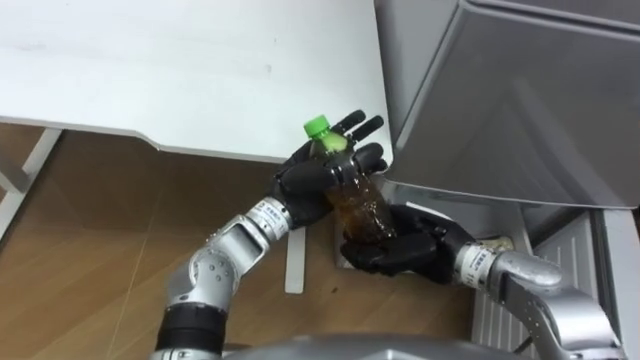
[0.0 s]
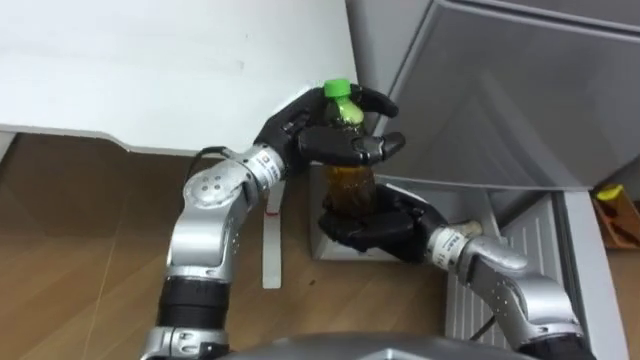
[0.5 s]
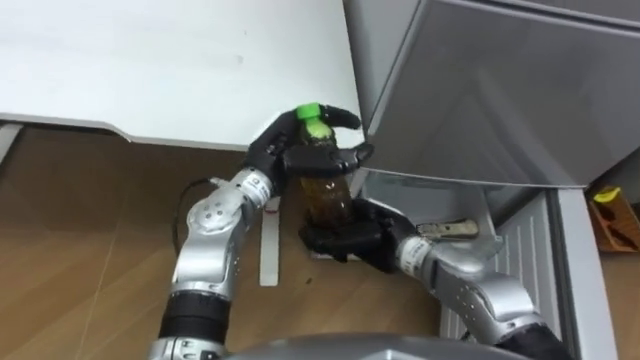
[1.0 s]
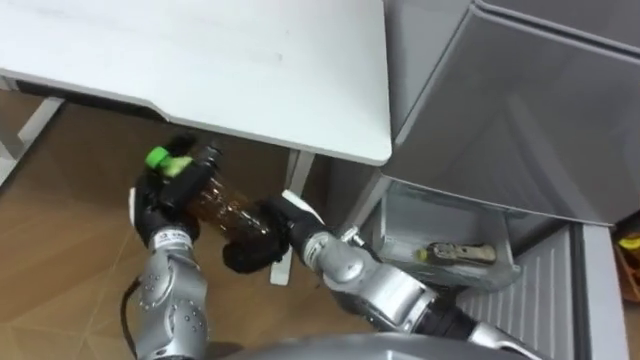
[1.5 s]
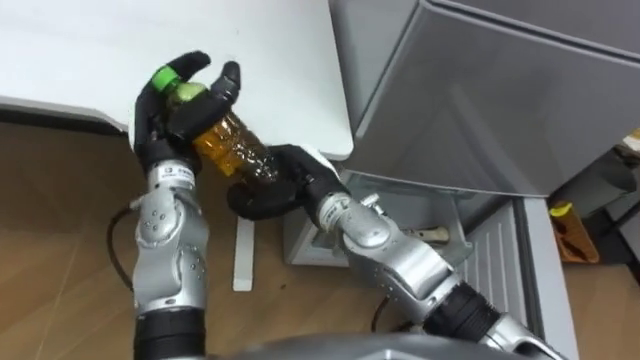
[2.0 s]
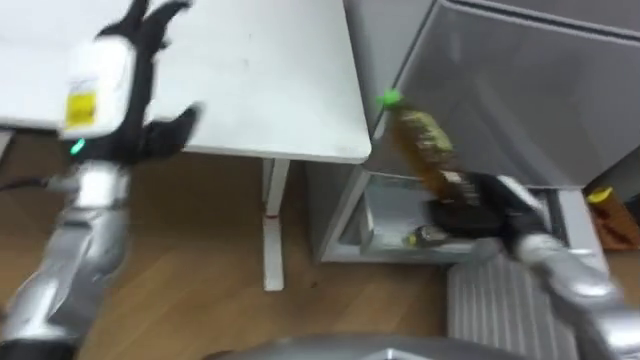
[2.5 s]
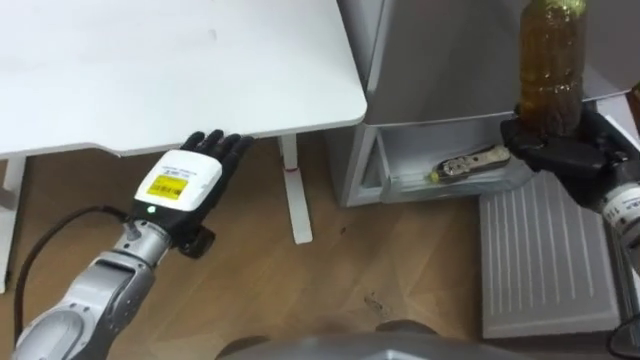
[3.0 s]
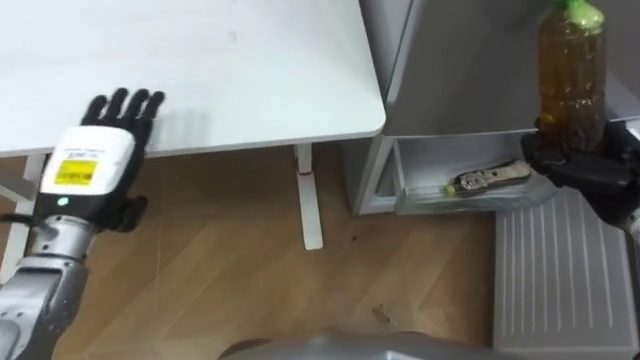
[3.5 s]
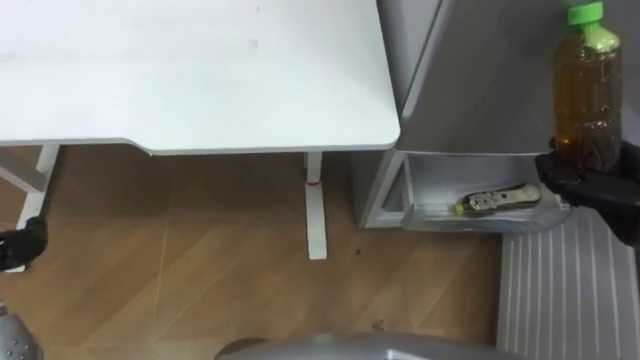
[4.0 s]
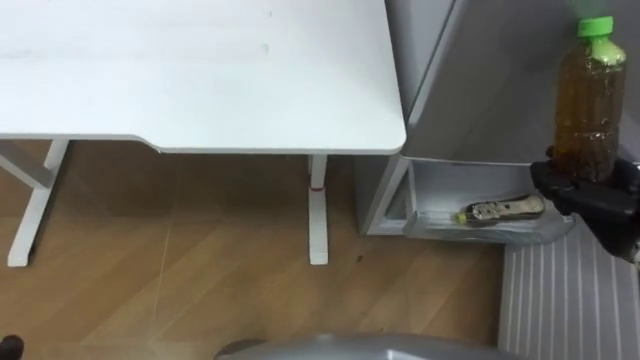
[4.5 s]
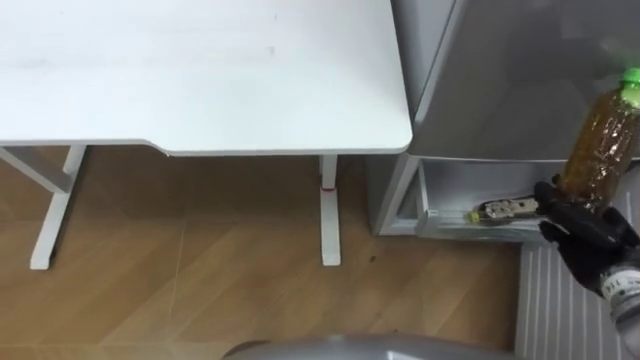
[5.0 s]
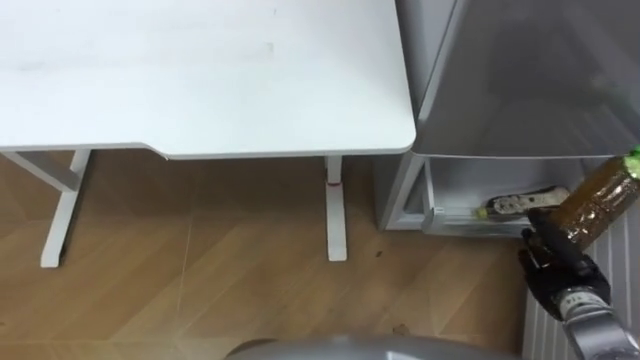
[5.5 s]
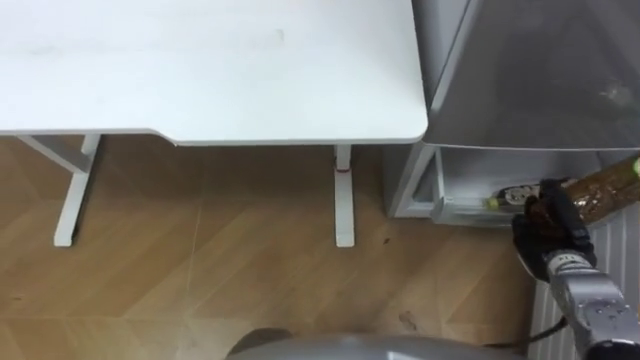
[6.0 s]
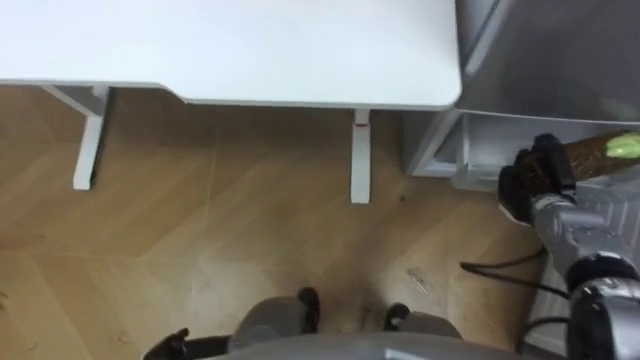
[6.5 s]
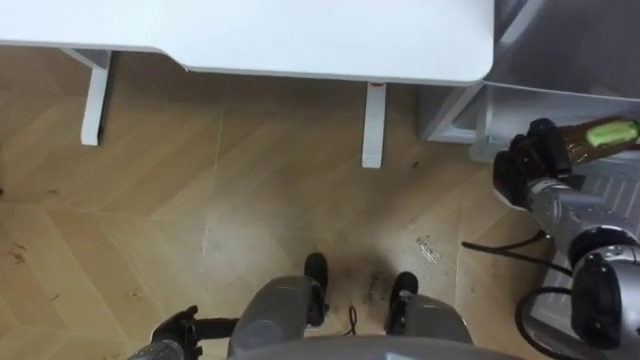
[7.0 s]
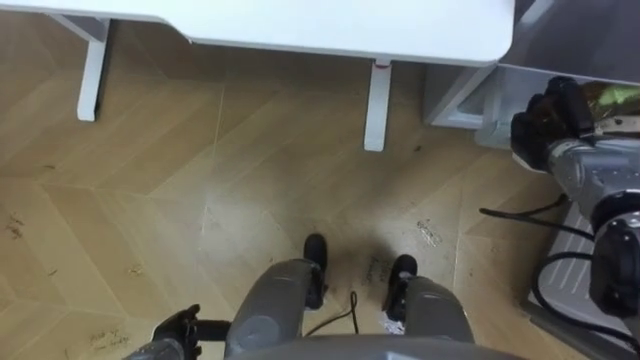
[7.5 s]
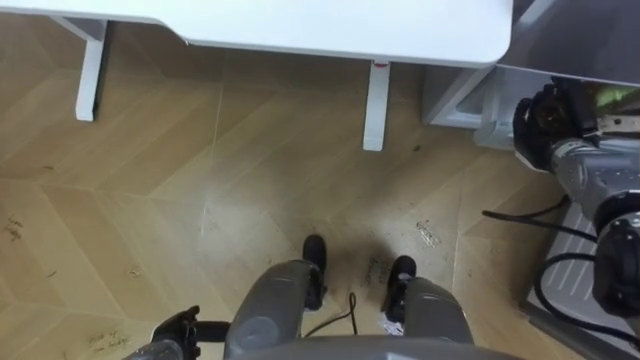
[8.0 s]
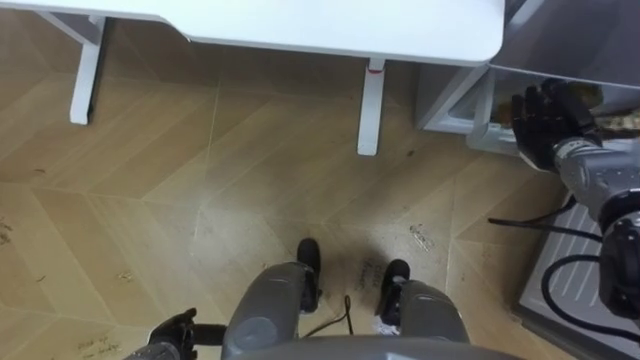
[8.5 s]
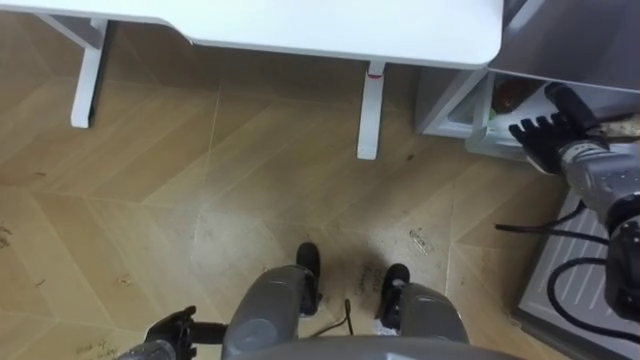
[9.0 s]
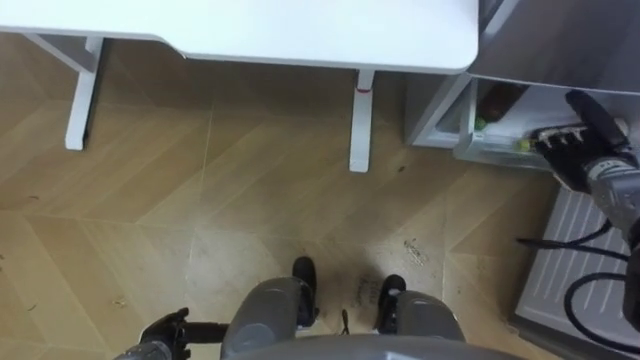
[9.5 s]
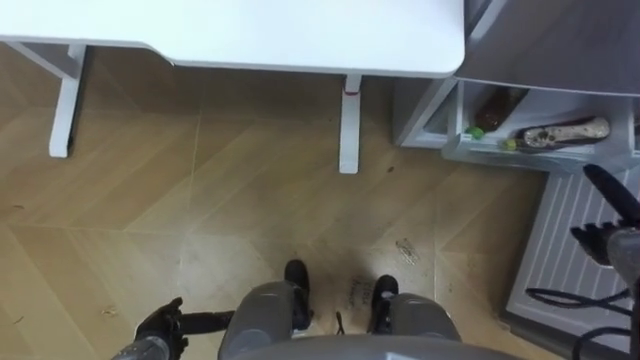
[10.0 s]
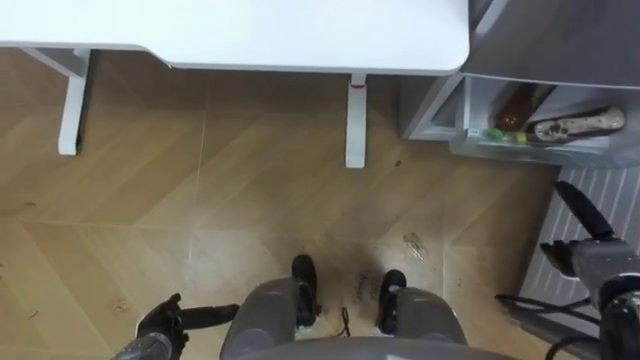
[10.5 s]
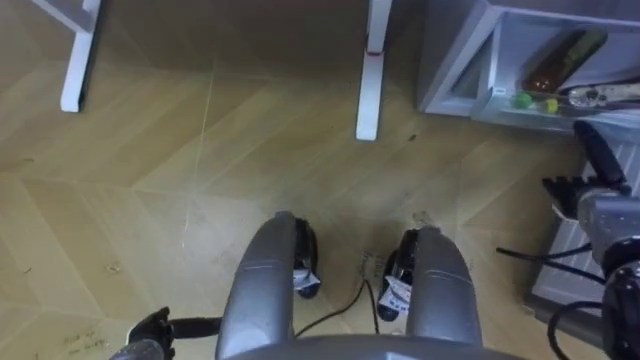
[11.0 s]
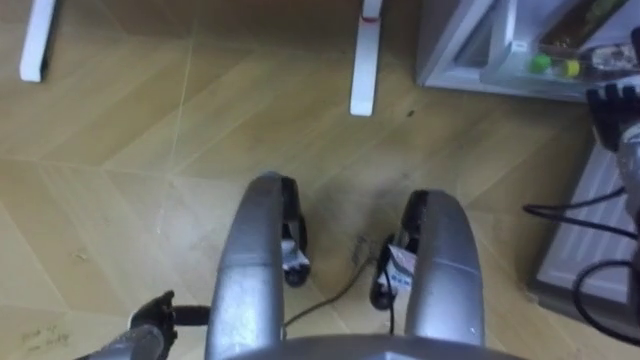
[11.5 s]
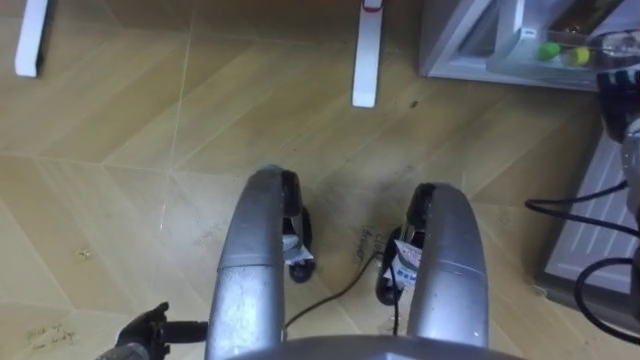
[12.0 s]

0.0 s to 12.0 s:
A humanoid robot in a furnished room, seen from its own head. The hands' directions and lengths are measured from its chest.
Task of the whole recording: Place the drink on the table on the bottom shelf of the refrigerator, then close the drawer and the refrigerator door.
0.0 to 2.0 s: The hands both shift to the left by approximately 15 cm.
4.0 to 6.0 s: The right hand goes approximately 15 cm downward.
6.0 to 8.0 s: The right hand travels forward and upward by about 15 cm.
8.0 to 10.0 s: The right hand goes roughly 15 cm backward, to the right and downward, and opens up.
10.0 to 12.0 s: The right hand travels forward and upward by roughly 15 cm.

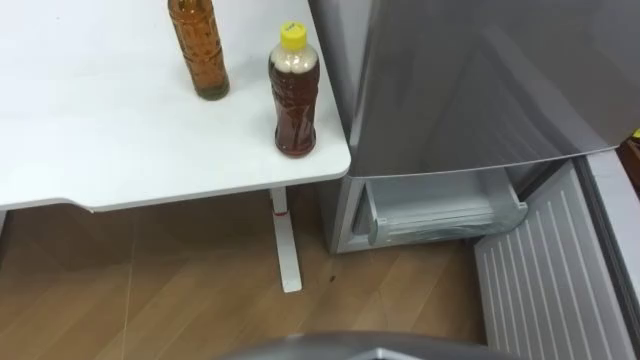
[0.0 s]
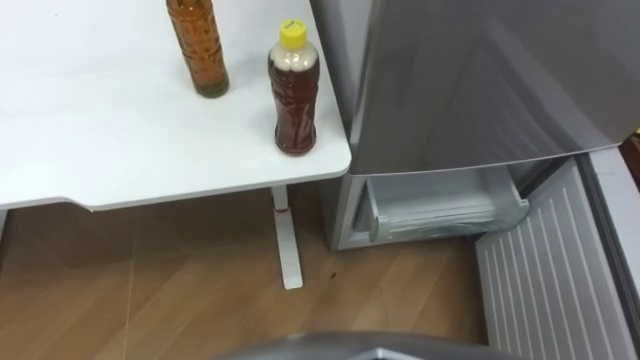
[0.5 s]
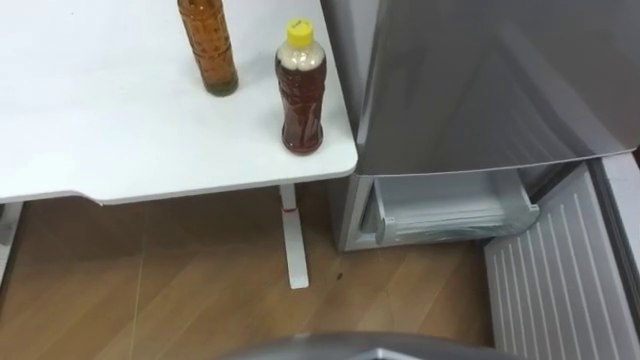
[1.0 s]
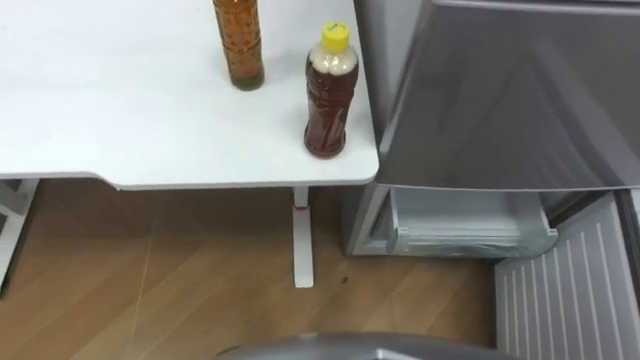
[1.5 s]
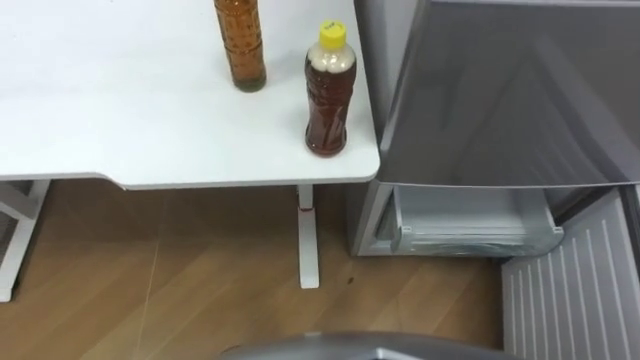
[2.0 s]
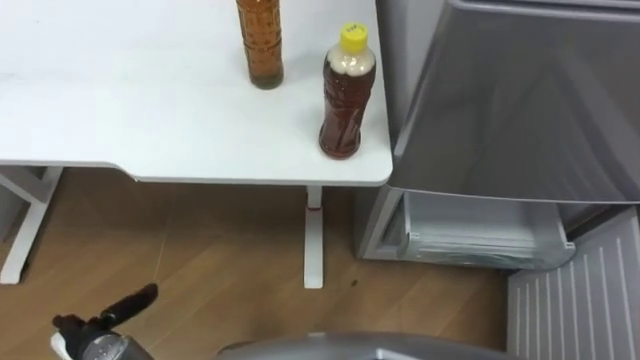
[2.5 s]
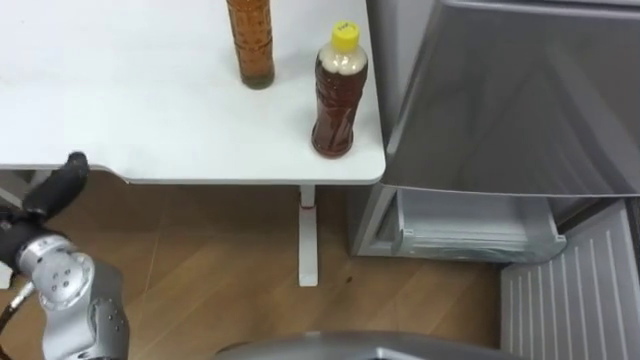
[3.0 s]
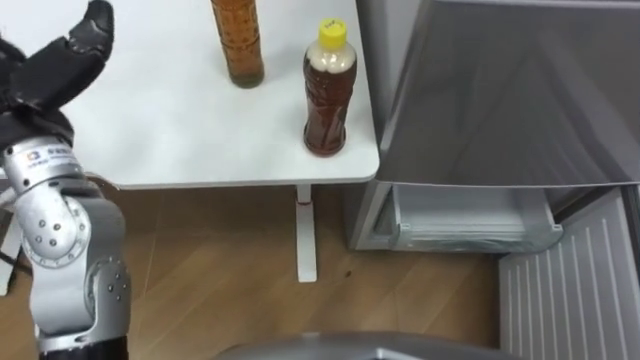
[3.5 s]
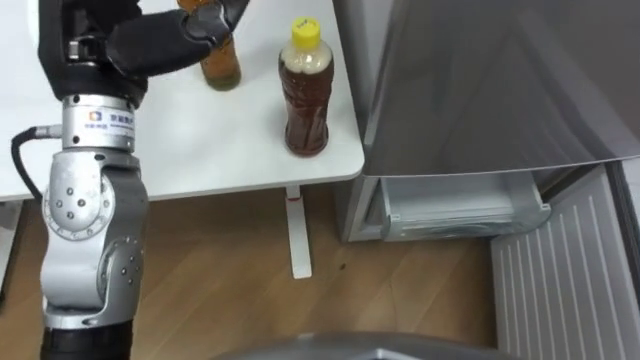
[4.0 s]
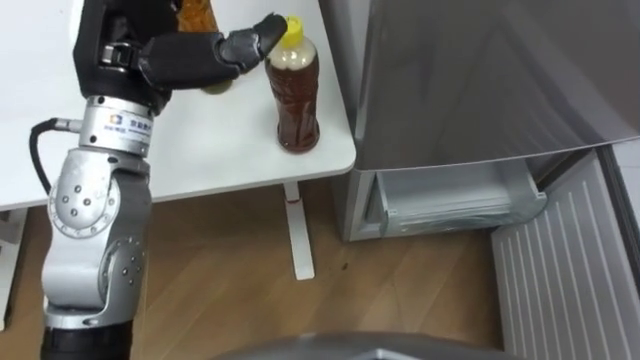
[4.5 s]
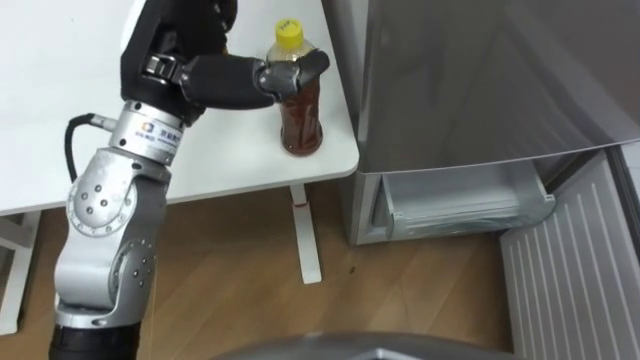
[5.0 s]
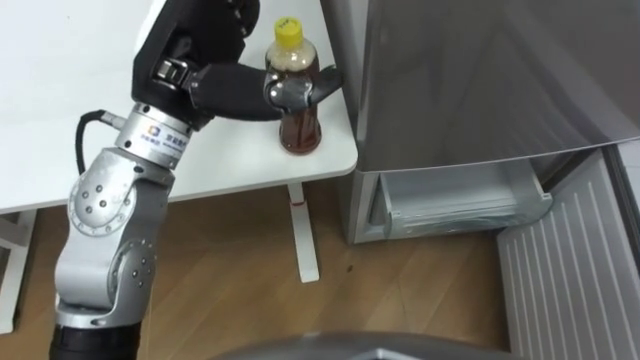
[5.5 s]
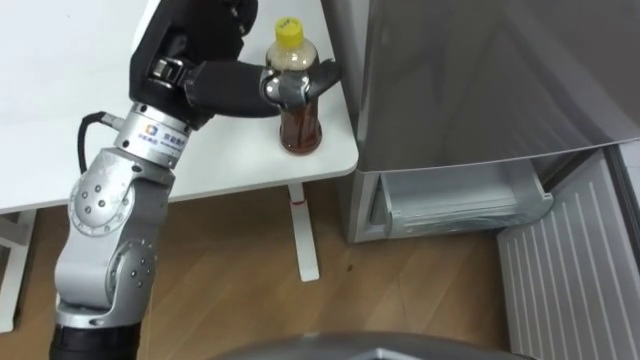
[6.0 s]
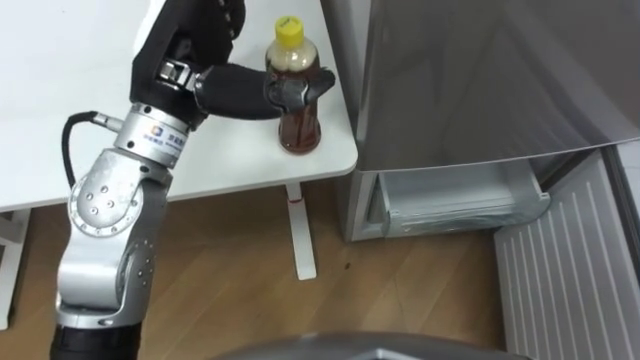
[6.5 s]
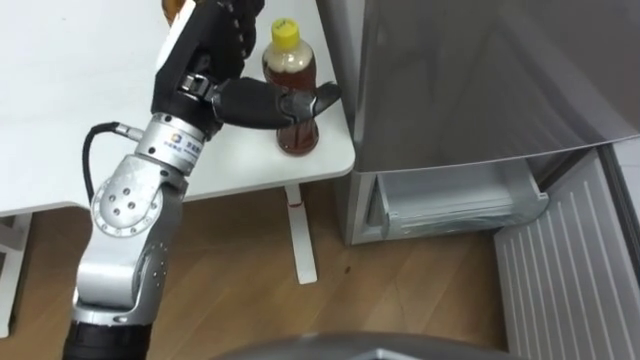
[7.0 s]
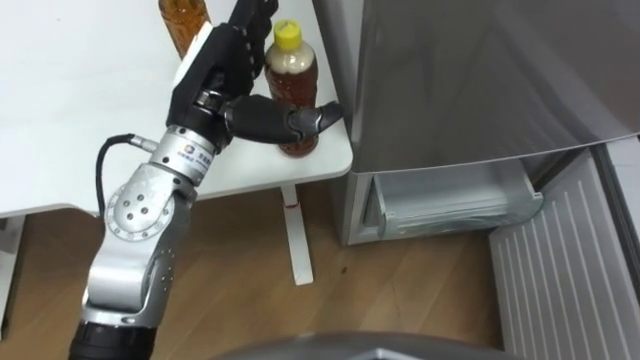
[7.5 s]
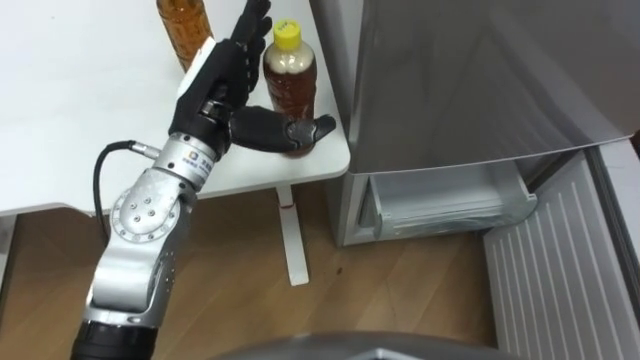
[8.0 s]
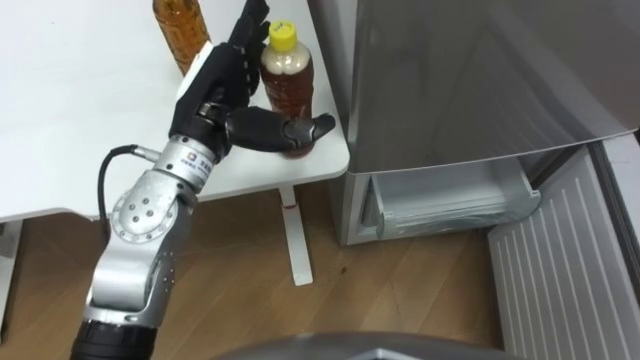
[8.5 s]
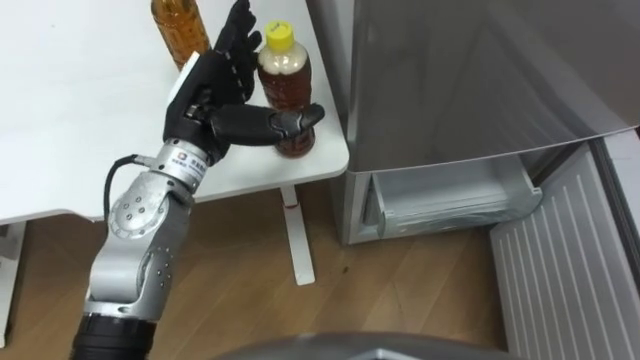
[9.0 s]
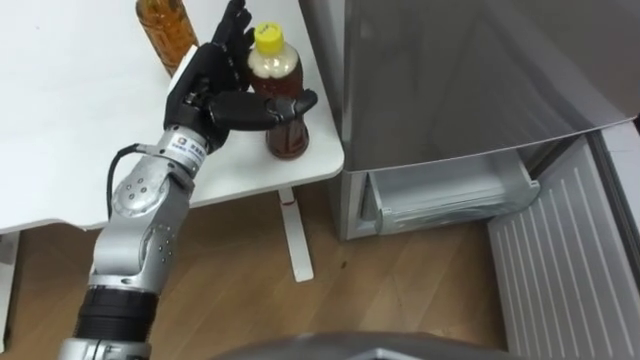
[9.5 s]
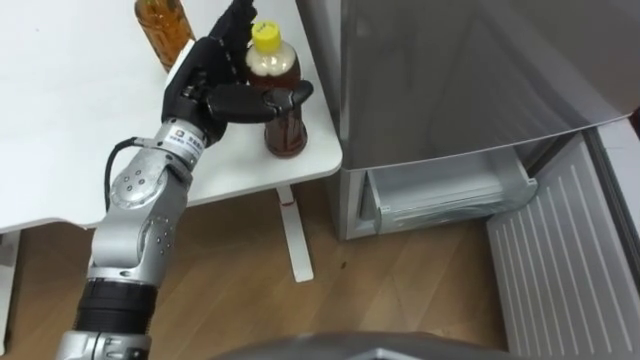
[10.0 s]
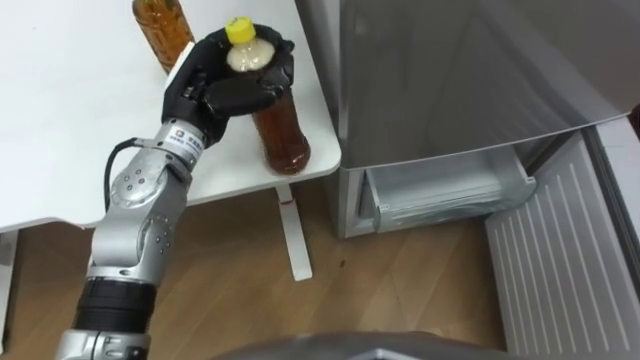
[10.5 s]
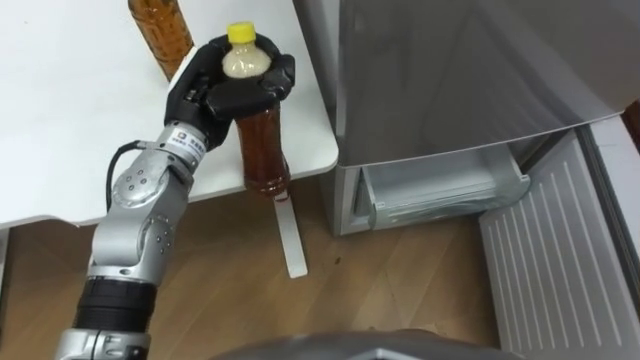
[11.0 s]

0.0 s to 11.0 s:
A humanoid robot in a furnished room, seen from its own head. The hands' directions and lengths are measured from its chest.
Task of the whole recording: Place the drink on the table on the bottom shelf of the refrigerator, then close the drawer and the refrigerator door.
3.5 to 5.5 s: The left hand goes roughly 15 cm to the right.
5.5 to 7.5 s: The left hand heads downward, covering some 5 cm.
9.0 to 11.0 s: The left hand closes up.
